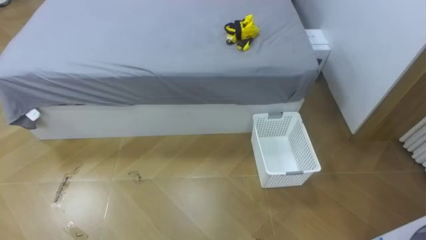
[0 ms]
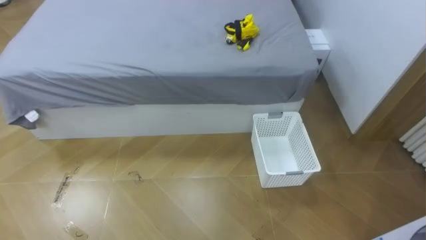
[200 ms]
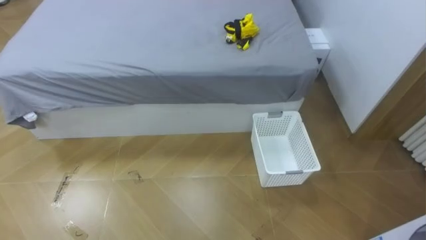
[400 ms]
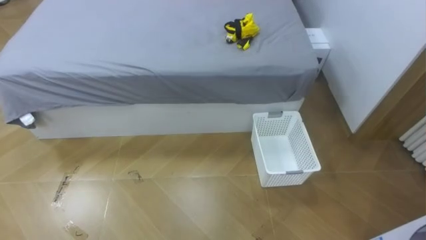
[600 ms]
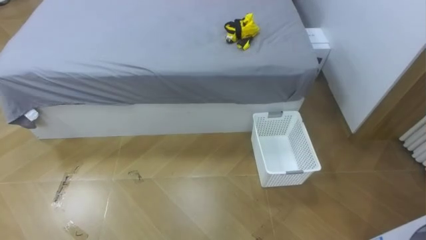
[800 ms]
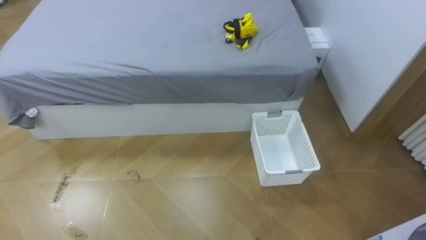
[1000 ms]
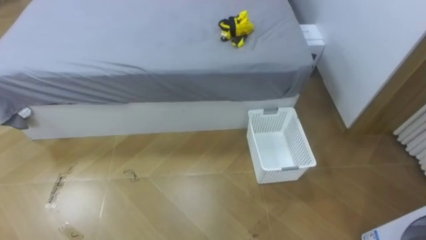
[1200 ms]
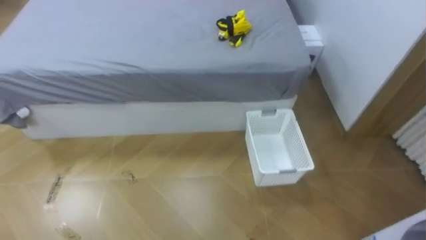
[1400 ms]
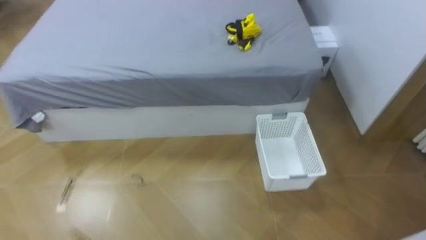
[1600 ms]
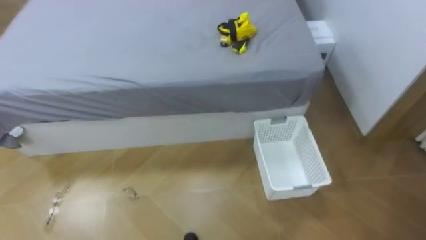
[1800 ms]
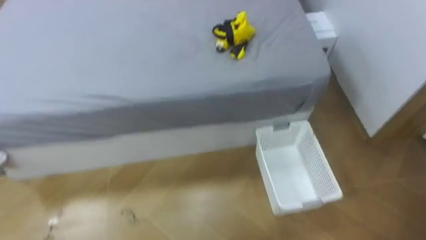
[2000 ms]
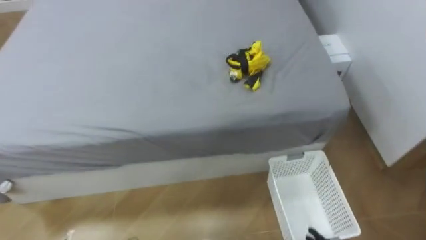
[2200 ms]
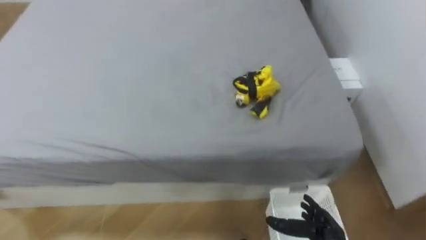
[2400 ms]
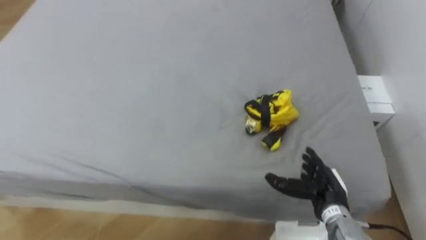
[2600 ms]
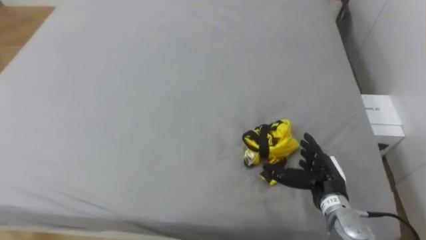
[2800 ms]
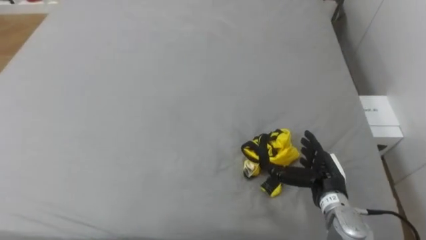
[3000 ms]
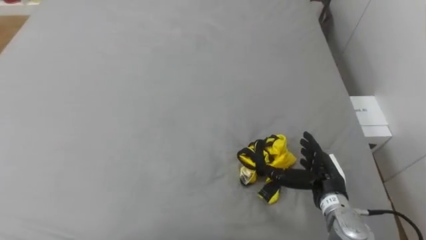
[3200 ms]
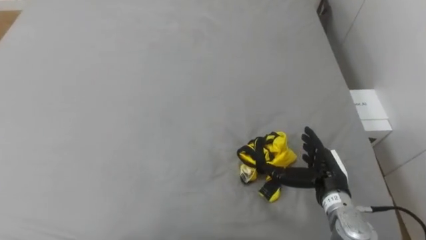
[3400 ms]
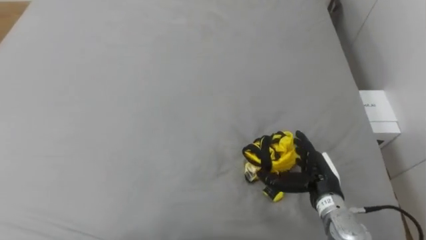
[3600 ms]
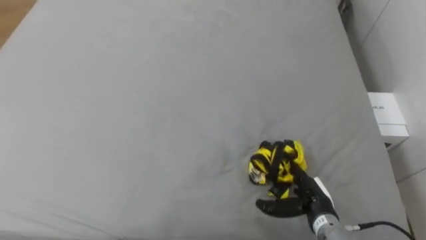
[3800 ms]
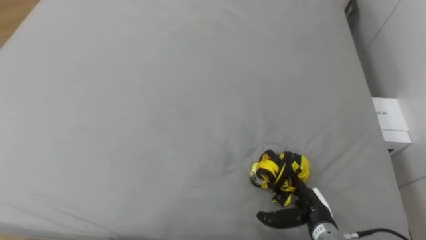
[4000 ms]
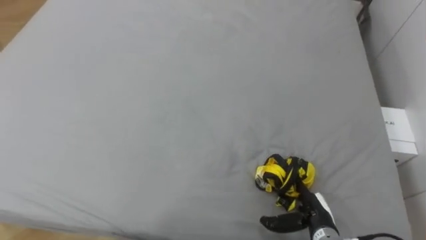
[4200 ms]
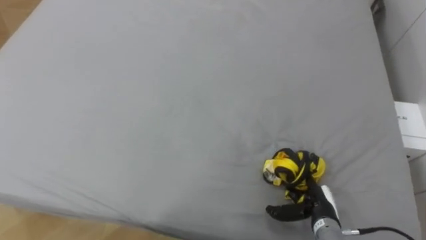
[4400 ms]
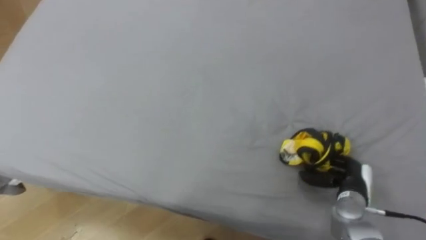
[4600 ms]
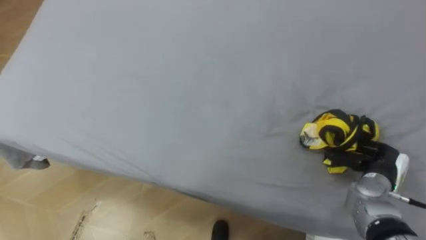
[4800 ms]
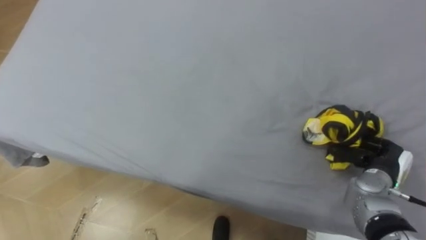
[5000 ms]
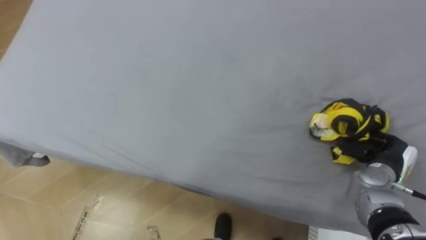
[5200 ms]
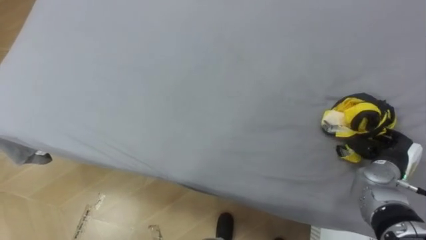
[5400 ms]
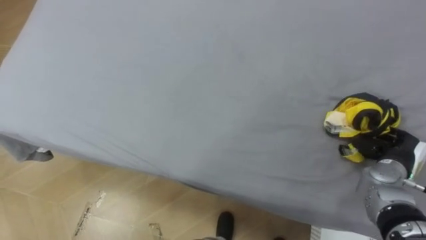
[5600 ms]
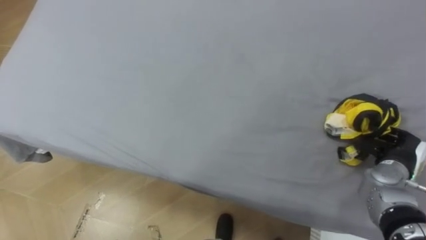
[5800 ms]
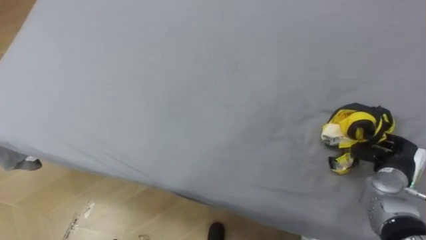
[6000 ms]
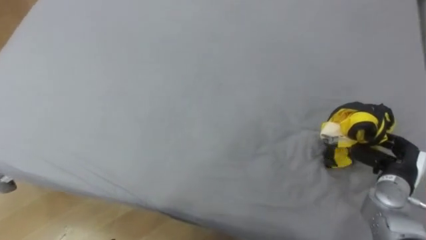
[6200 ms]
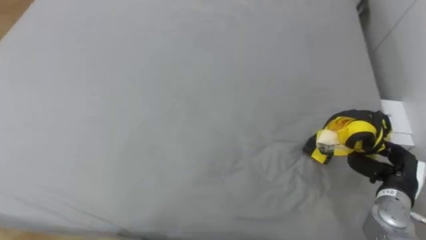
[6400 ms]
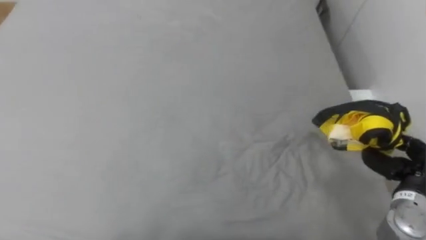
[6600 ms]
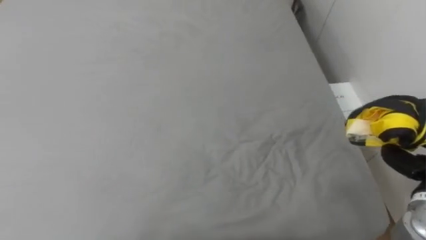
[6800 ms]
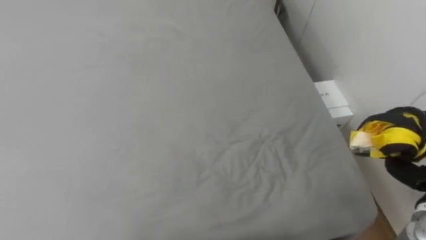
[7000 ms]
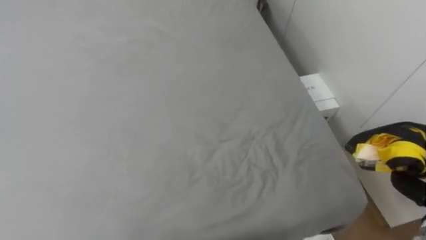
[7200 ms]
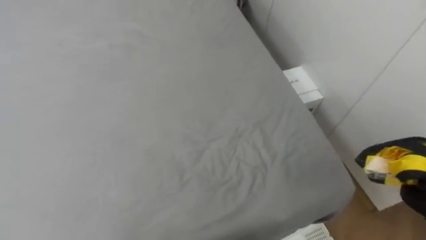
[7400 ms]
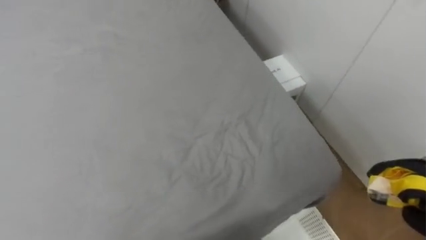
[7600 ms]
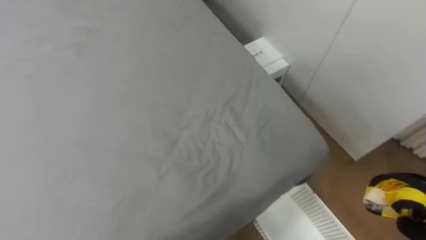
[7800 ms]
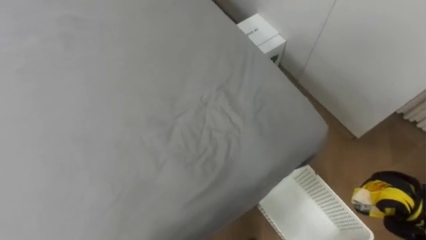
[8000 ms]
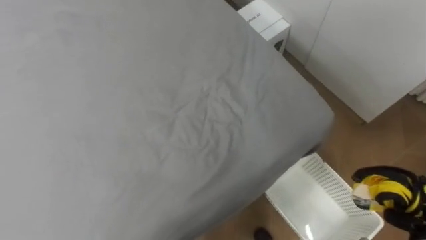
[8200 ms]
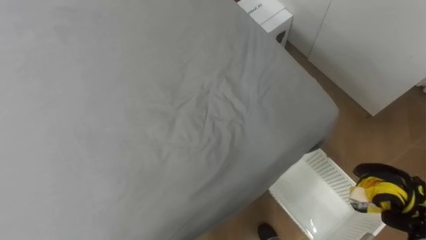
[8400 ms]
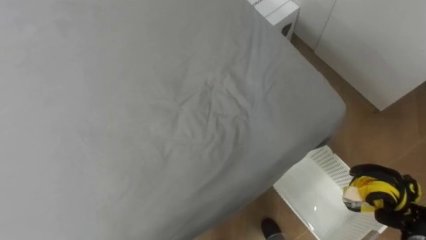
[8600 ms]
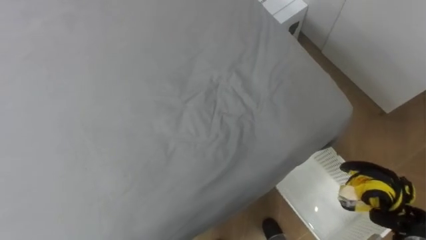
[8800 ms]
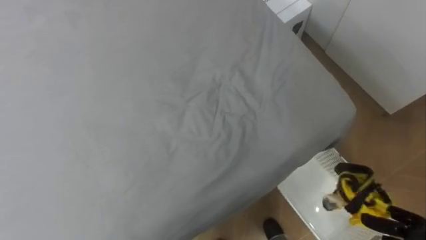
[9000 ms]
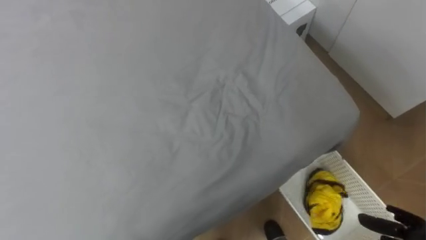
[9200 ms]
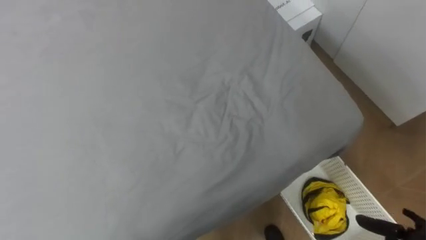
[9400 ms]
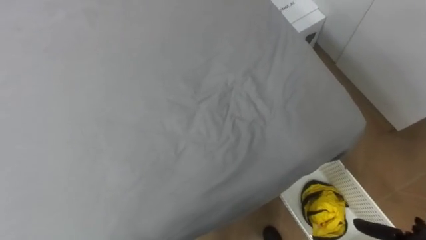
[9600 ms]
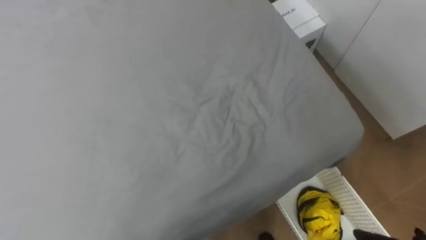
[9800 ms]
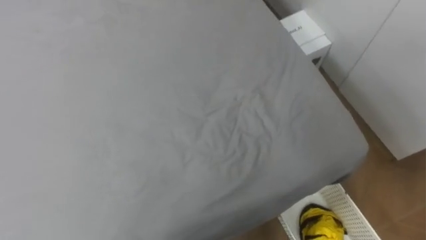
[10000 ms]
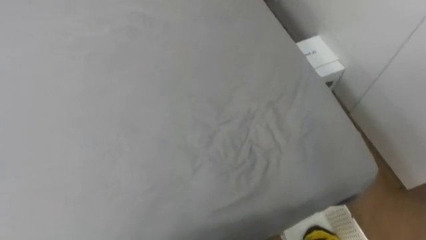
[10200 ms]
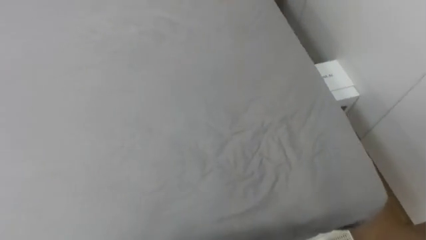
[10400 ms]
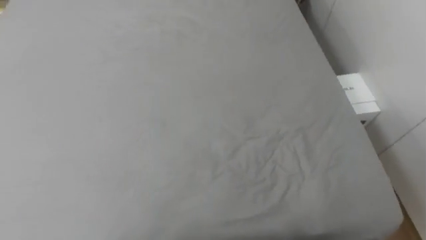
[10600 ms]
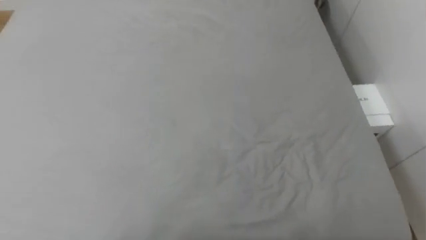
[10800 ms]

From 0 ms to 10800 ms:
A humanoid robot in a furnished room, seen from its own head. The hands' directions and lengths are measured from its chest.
Task of the whole recording: Pick up the yellow clothes on the bed and place them into the white basket on the right.
From 4600 ms to 6200 ms: The right hand goes roughly 10 cm to the right and upward, and closes its fingers.
From 9200 ms to 10800 ms: The robot turns to its left by approximately 20 degrees.

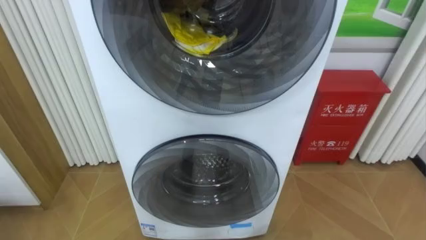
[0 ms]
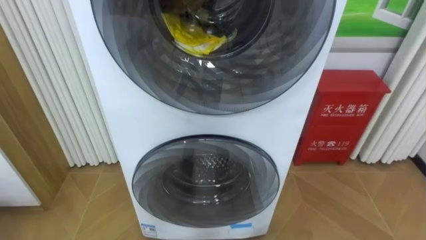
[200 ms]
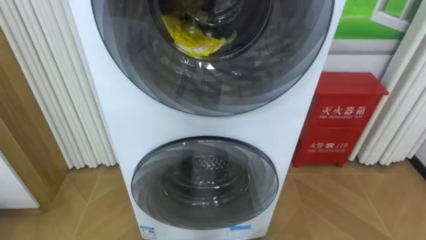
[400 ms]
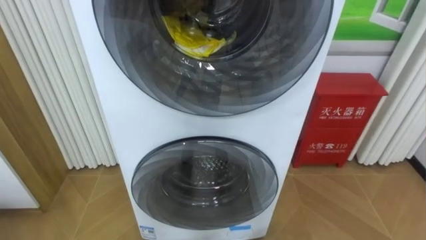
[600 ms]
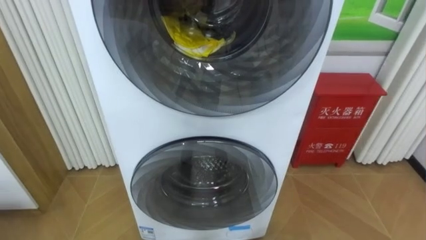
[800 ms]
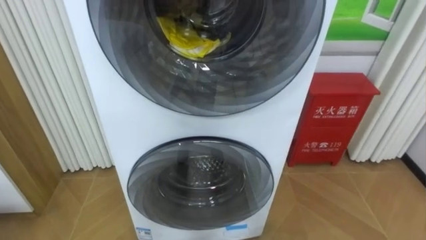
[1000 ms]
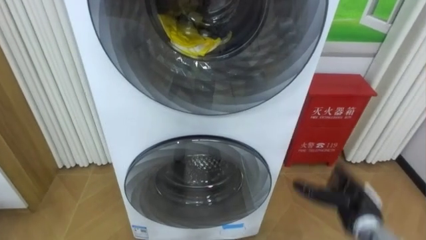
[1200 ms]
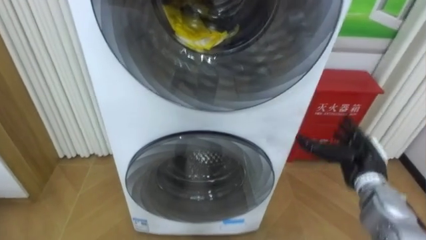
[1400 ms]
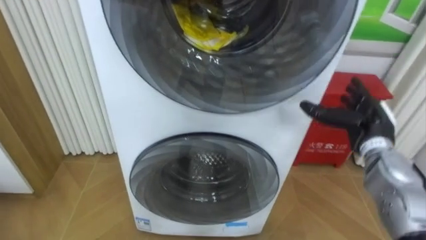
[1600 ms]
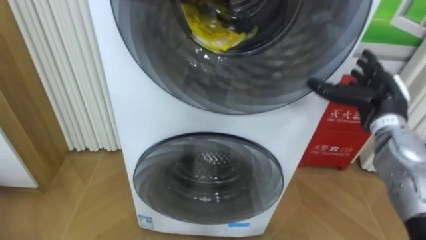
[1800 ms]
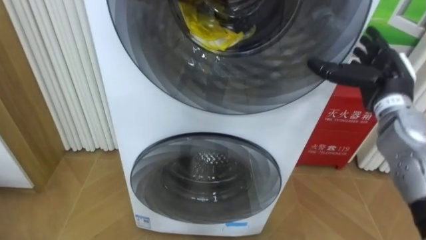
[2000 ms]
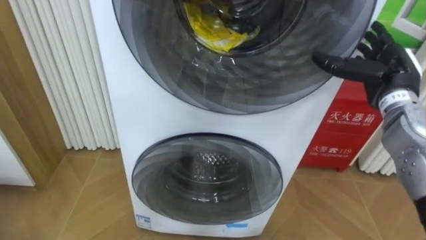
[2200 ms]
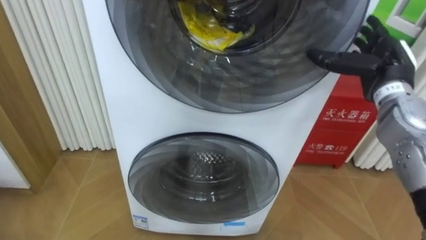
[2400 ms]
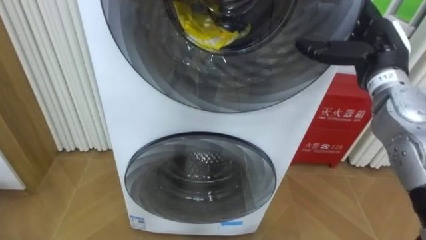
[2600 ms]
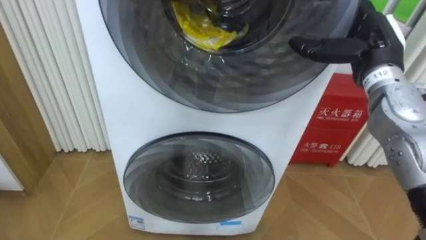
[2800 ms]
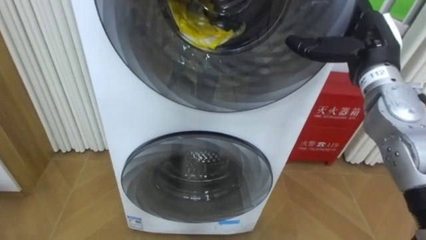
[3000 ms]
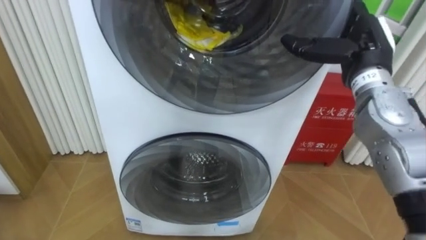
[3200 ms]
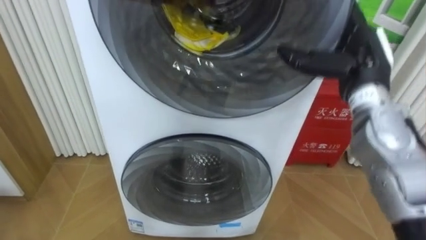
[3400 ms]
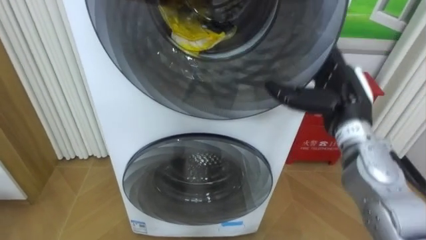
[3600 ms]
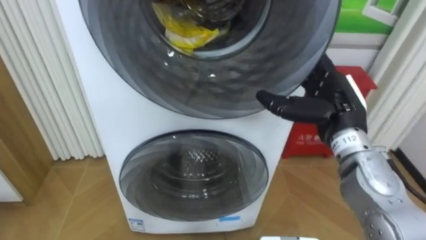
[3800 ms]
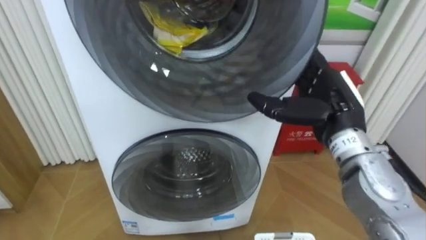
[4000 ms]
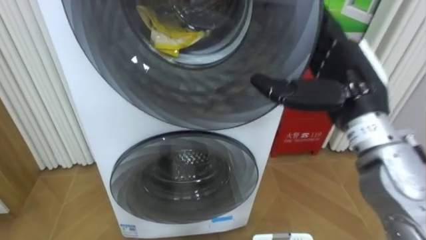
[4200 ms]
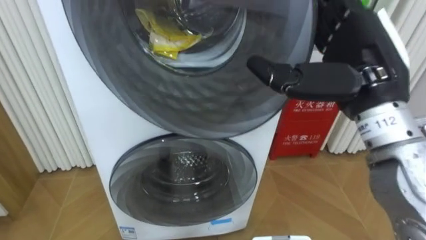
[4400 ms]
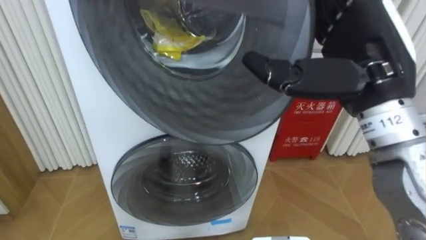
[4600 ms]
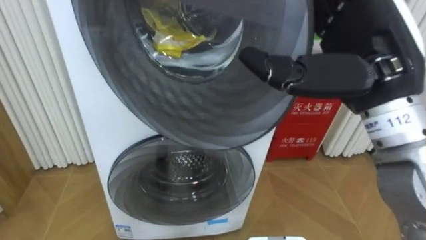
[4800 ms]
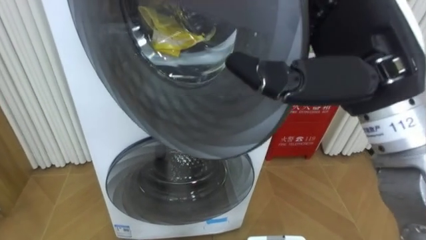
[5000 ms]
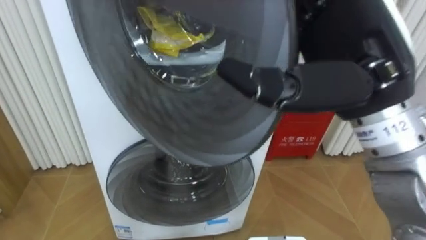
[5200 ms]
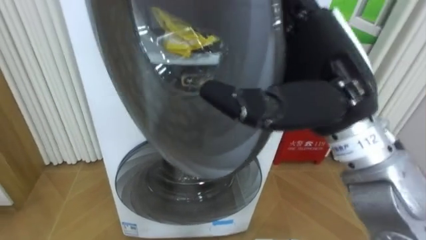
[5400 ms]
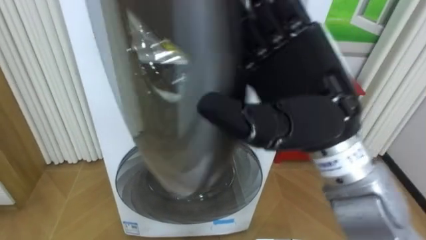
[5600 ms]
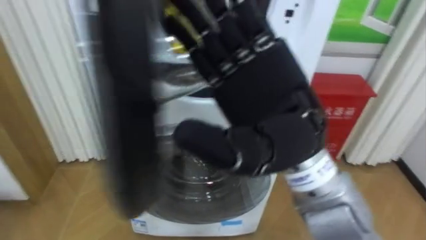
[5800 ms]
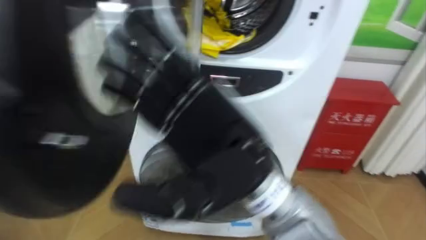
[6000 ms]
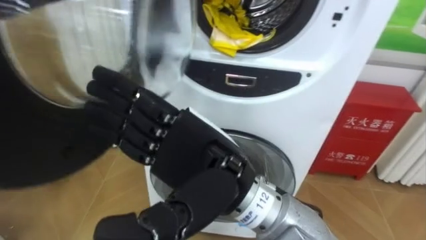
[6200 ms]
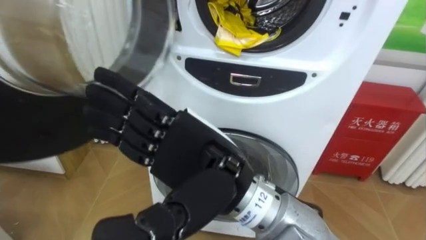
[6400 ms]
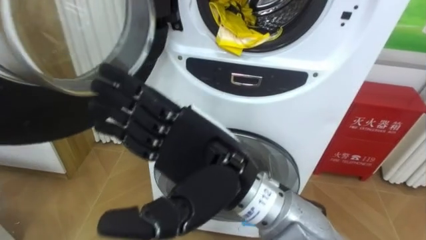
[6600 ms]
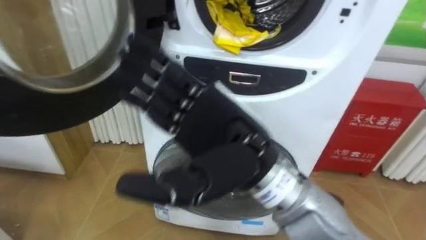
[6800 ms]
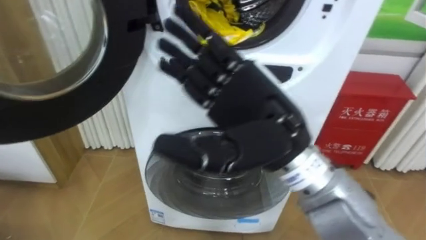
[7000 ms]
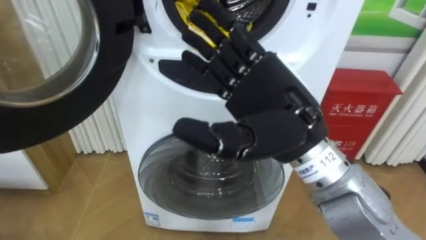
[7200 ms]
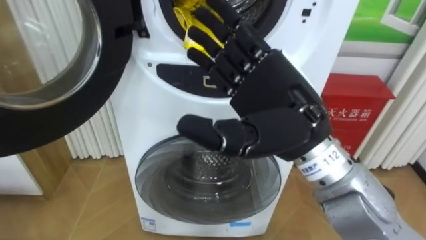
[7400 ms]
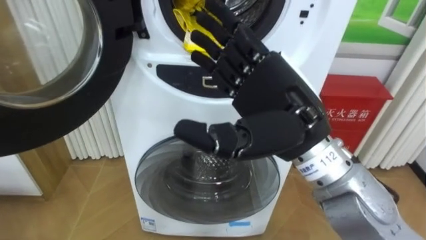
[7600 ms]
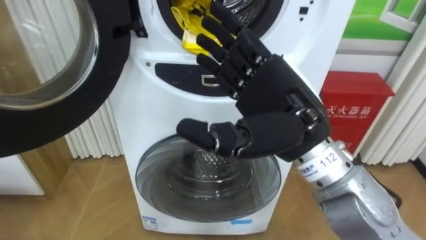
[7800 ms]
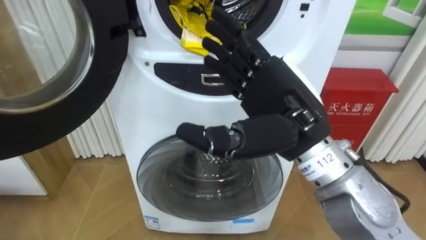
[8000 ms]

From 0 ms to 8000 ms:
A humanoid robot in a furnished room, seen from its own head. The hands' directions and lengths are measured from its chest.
Task of the whole recording: Open the washing machine door, take out the yellow clothes, place them in the box on the right, and close the washing machine door.
From 1600 ms to 3200 ms: The right hand moves upward, about 15 cm.
From 3200 ms to 4800 ms: The right hand moves backward, upward and to the left, some 15 cm.
From 4800 ms to 6400 ms: The right hand is displaced to the left and downward by about 20 cm.
From 6400 ms to 8000 ms: The right hand heads to the right and forward, covering roughly 10 cm.
